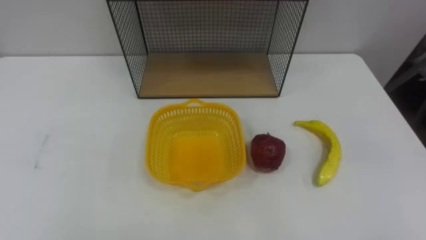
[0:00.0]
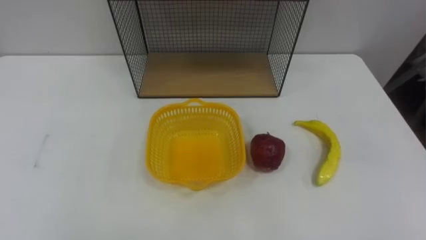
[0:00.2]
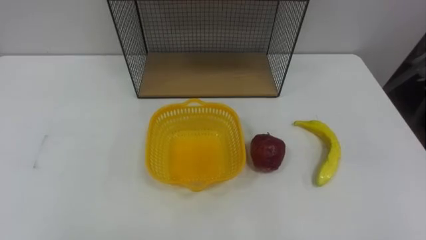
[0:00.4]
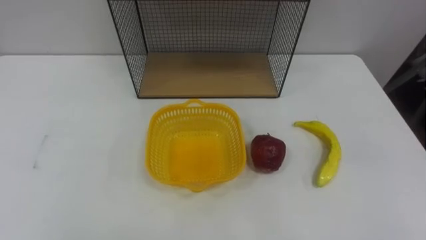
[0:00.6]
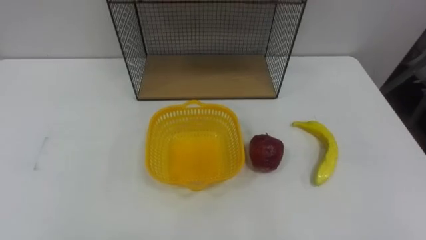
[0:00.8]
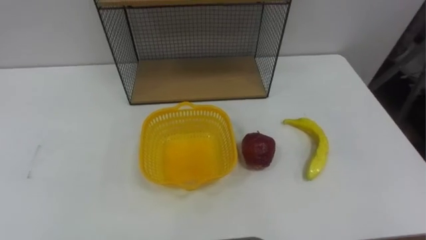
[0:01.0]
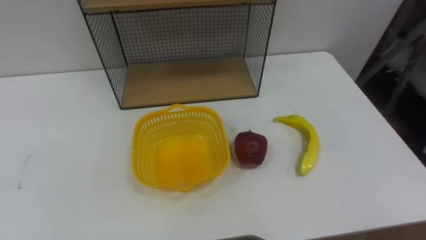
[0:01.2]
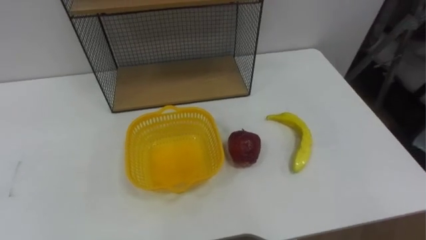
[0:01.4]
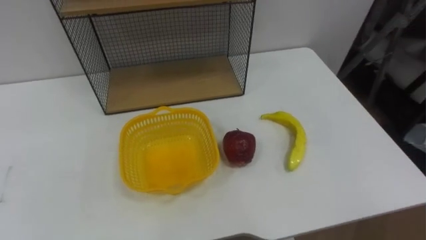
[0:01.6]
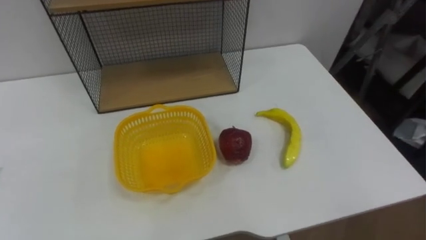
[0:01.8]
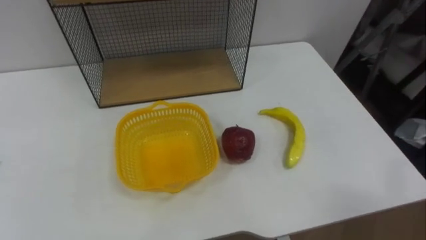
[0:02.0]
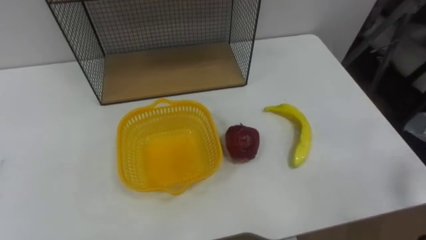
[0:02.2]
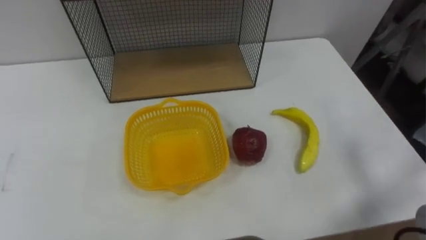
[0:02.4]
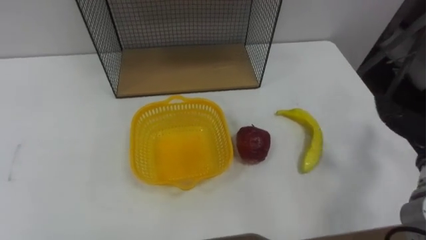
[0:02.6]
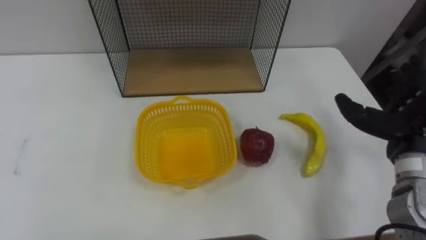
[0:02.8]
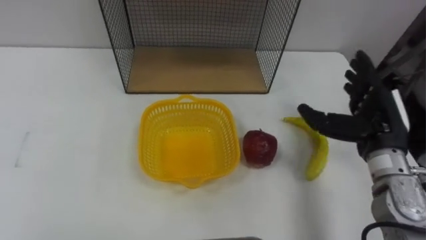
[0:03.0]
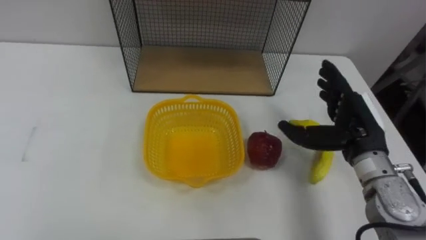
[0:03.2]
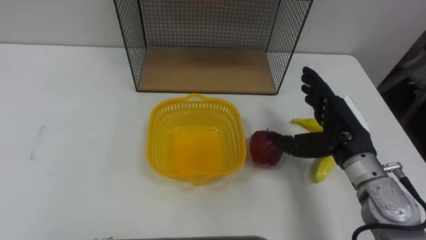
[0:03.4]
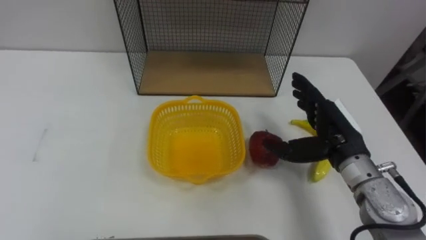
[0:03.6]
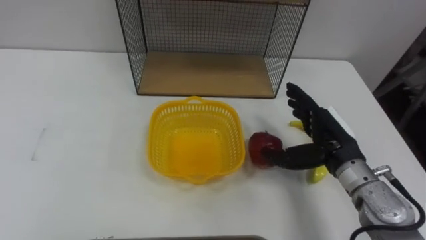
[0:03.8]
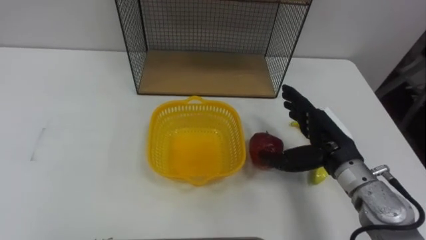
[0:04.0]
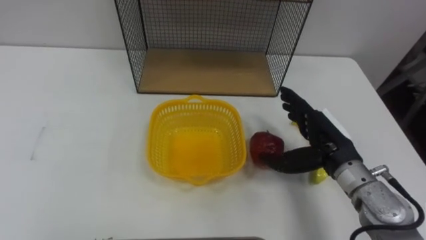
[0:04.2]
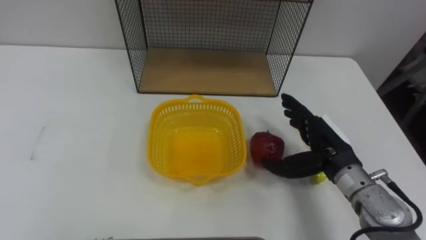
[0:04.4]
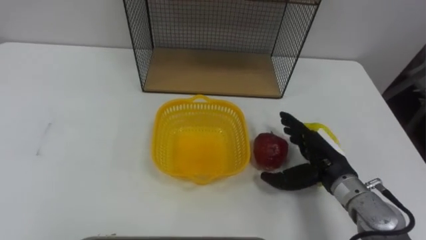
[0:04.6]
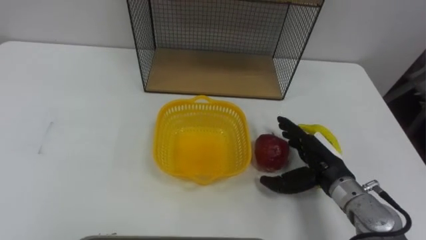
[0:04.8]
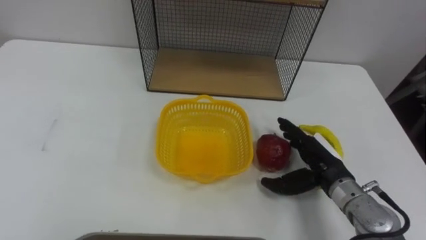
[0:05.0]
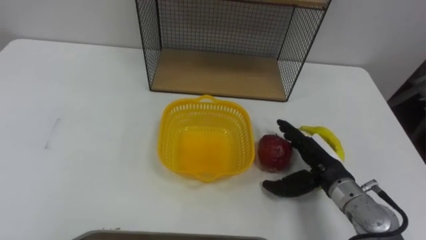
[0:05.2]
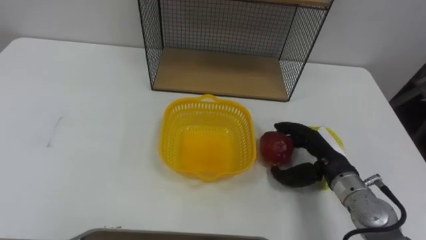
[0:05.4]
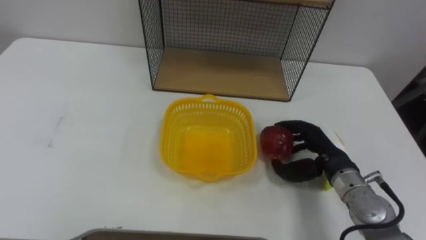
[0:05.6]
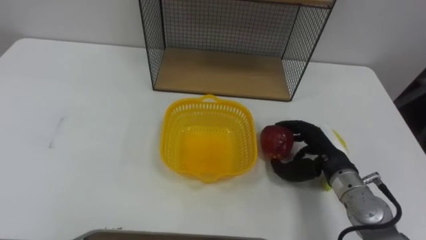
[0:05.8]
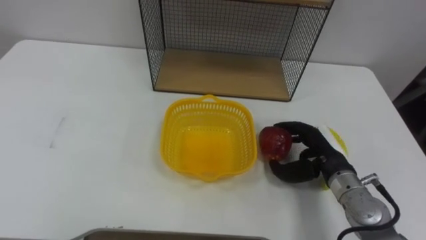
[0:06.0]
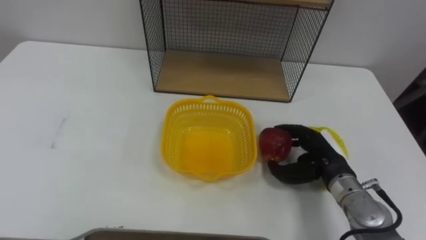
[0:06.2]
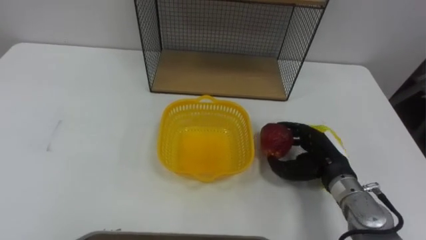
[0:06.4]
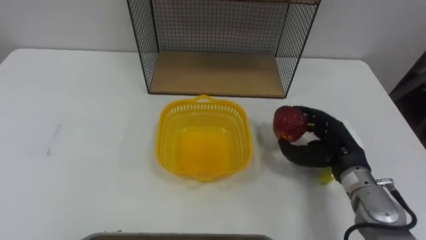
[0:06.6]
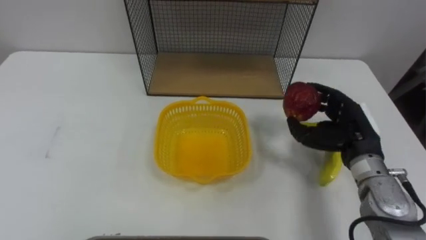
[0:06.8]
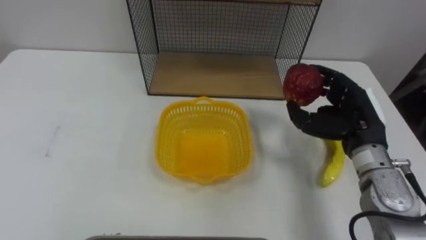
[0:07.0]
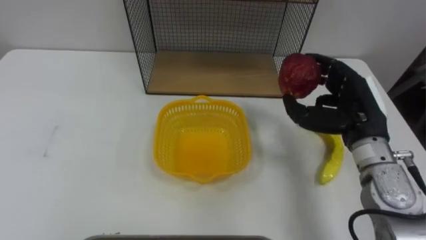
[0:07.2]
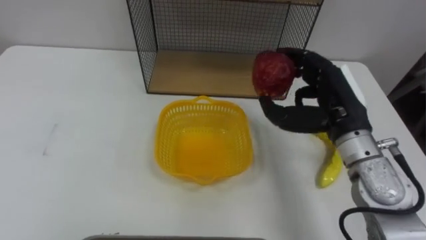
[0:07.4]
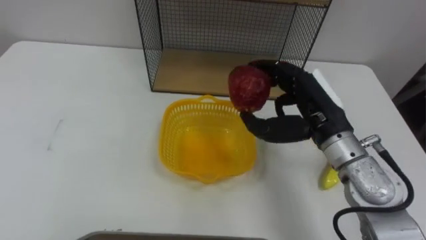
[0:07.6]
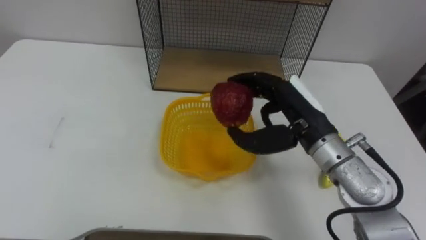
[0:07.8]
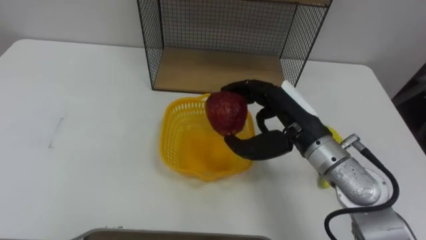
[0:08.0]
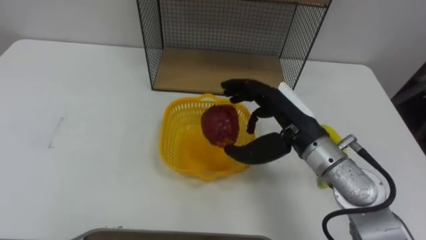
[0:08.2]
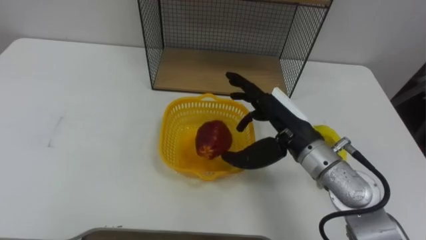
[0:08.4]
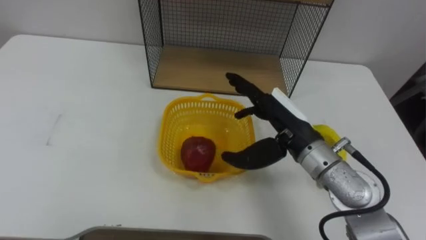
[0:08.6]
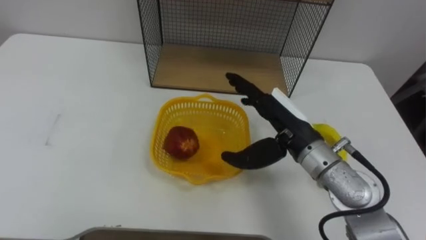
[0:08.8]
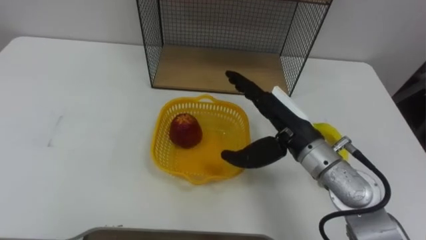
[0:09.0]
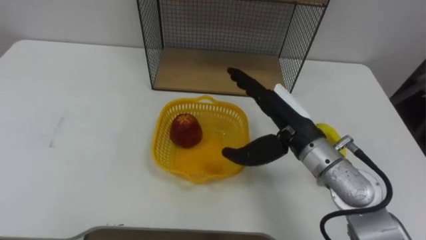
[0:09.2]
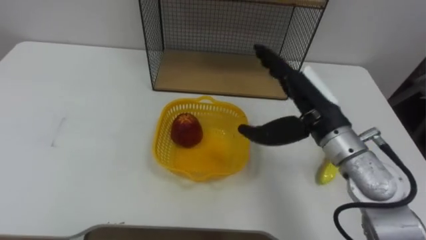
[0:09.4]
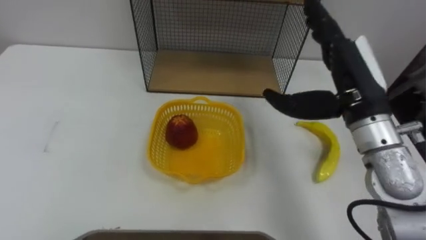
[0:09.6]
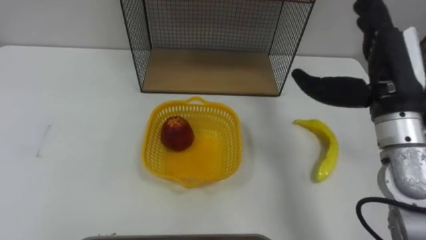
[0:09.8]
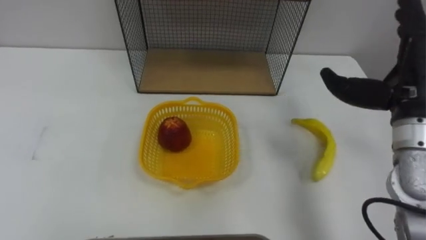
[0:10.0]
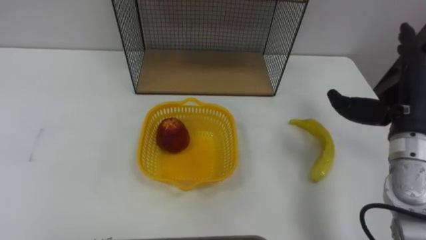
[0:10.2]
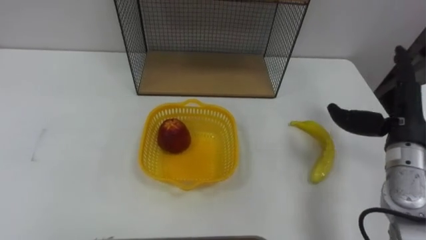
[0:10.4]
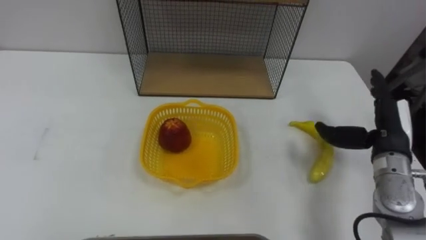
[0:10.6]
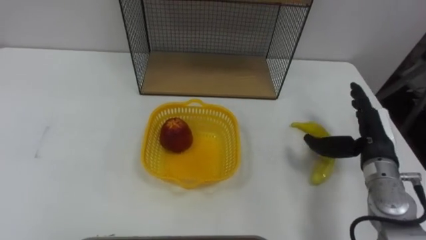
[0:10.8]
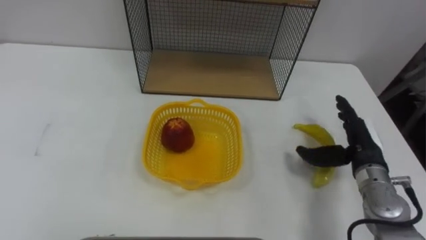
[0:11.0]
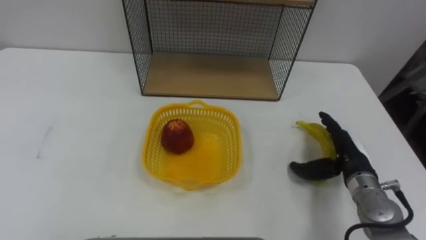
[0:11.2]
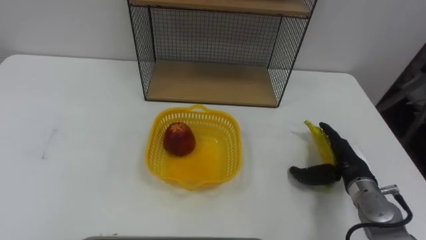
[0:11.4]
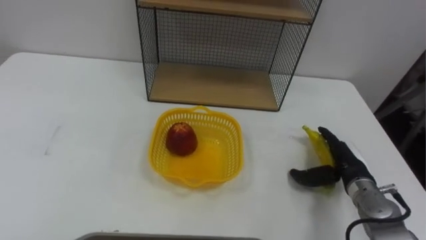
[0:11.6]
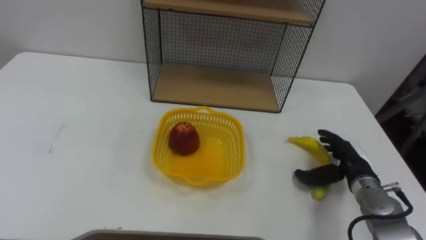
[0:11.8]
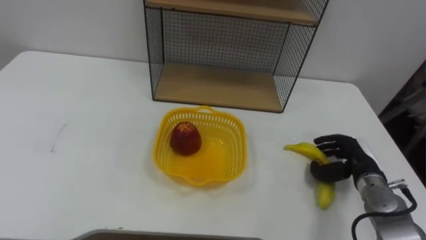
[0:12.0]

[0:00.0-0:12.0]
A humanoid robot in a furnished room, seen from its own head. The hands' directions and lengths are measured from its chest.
Task of the whole recording: Put the fruit on the table into the basket, then place the basket on the shelf.
0:03.0 to 0:04.4: The right hand travels to the left and downward by some 10 cm.
0:04.4 to 0:06.0: The right hand closes its fingers.
0:06.0 to 0:07.6: The right hand shifts some 15 cm upward.
0:07.6 to 0:09.0: The right hand ends up about 5 cm from where it was, and opens up.
0:09.0 to 0:10.4: The right hand is displaced to the right by approximately 20 cm.
0:10.4 to 0:12.0: The right hand heads downward, covering approximately 15 cm.

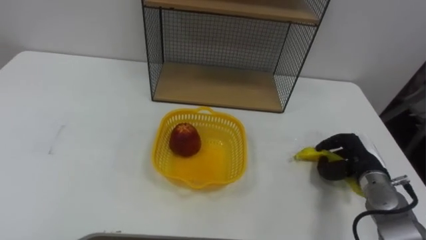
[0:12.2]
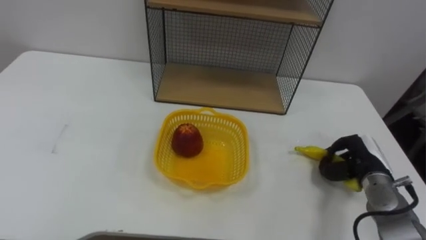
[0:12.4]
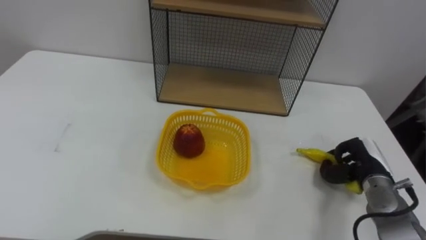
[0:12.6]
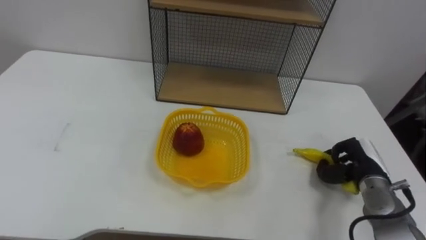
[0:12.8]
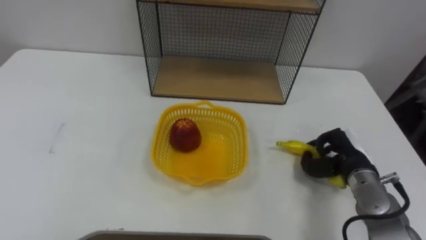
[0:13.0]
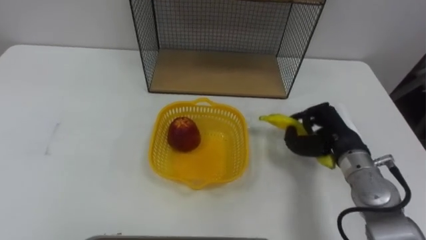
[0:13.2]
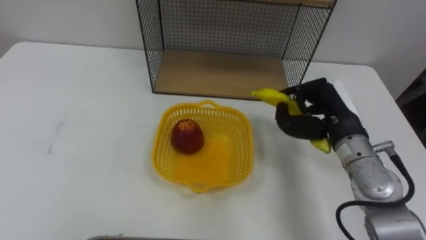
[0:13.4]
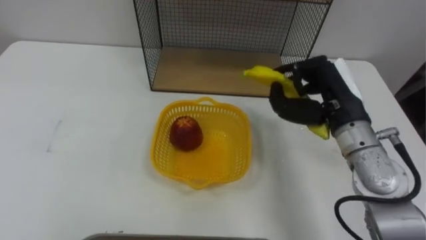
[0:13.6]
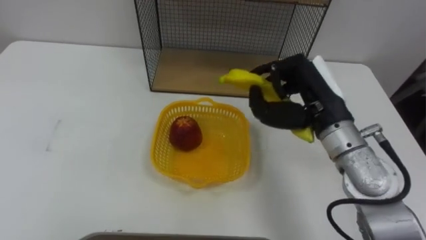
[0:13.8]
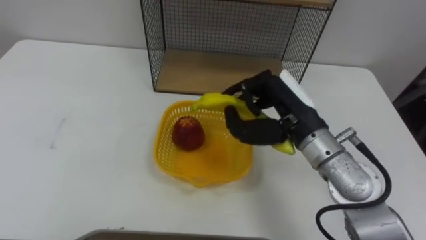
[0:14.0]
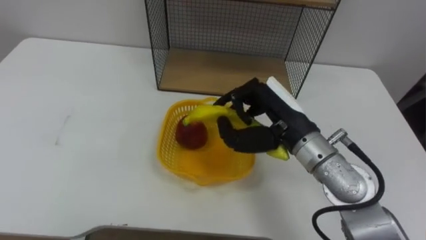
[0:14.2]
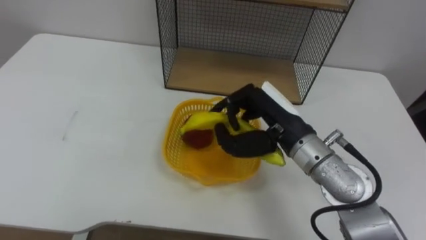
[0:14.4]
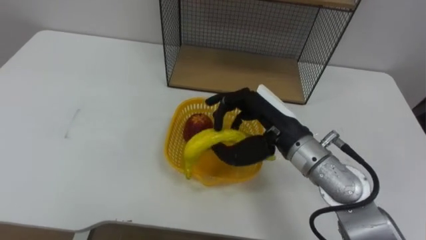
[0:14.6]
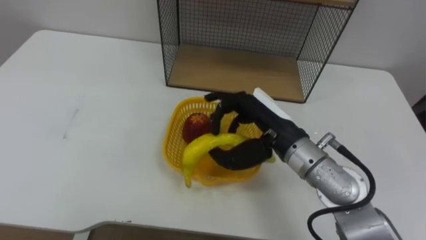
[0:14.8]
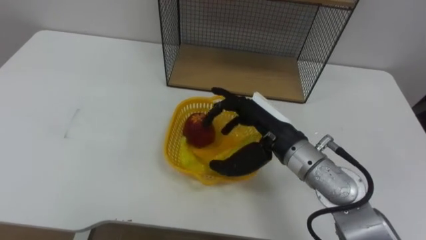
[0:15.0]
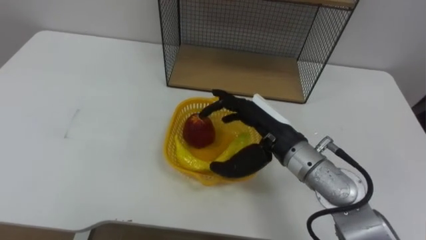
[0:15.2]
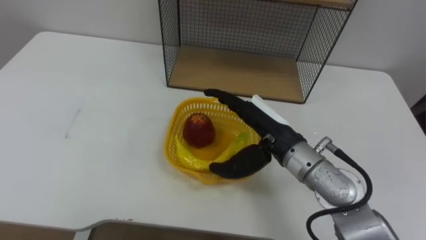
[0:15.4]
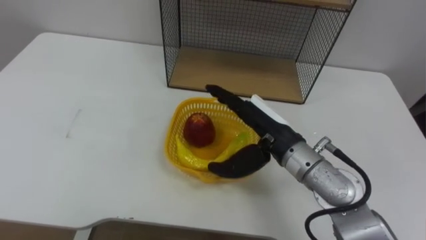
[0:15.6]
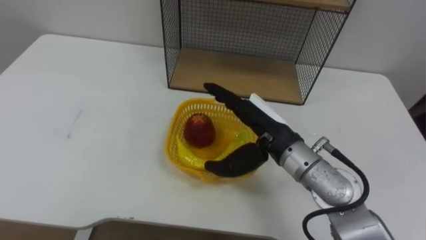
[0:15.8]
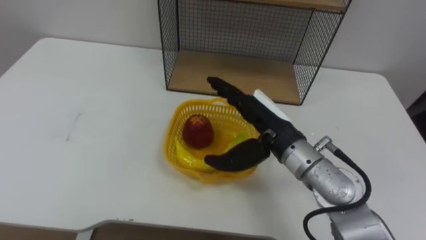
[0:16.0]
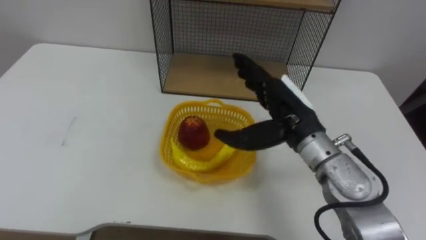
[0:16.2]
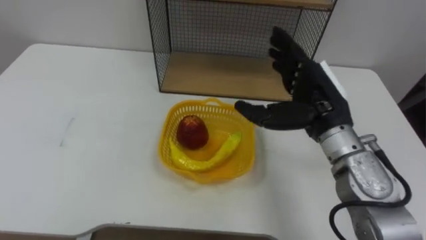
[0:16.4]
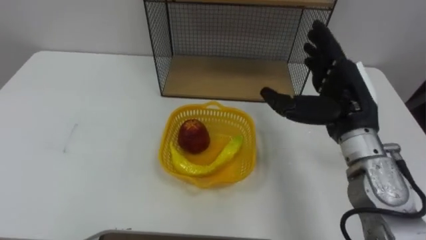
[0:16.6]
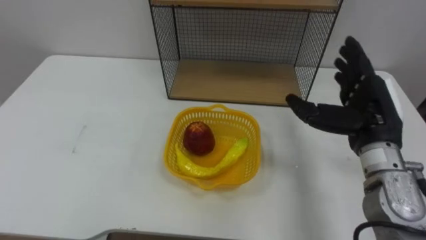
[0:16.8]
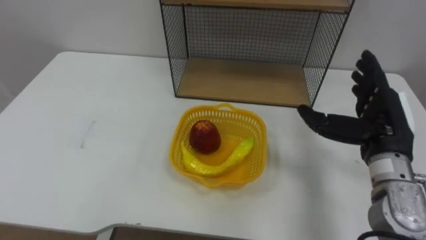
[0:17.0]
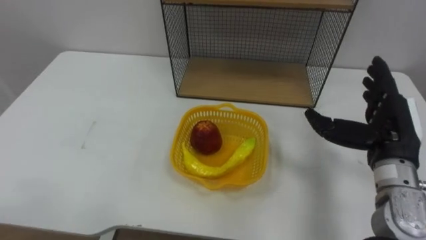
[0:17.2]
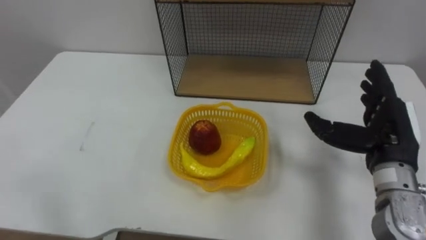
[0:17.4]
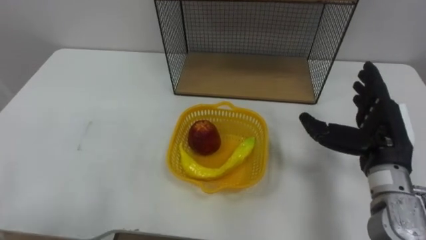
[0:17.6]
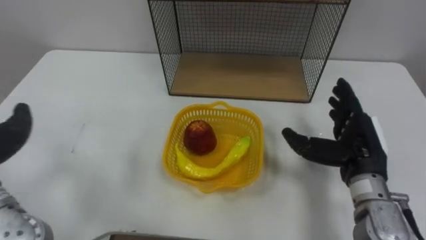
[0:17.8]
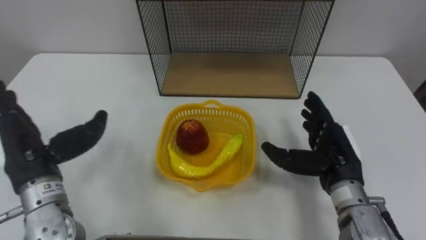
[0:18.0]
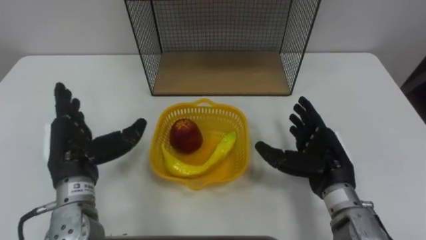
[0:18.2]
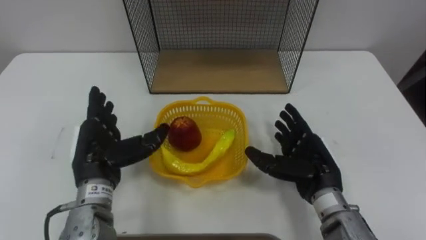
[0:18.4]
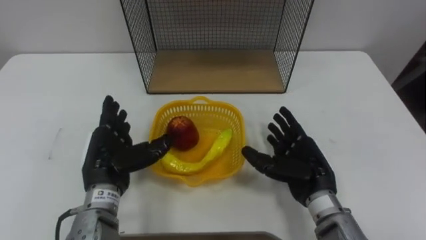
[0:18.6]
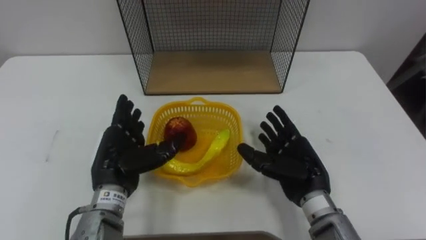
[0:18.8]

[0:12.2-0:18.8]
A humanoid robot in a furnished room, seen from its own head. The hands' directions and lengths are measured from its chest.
Task of the whole recording: Put the fruit on the table into the basket, then place the basket on the shelf.
0:12.2 to 0:13.8: The right hand moves upward and to the left, about 25 cm.
0:13.8 to 0:15.4: The right hand is displaced to the left and downward by about 10 cm, and opens.
0:15.4 to 0:17.2: The right hand heads to the right, covering about 20 cm.
0:17.2 to 0:18.8: The right hand shifts about 15 cm to the left and downward.
